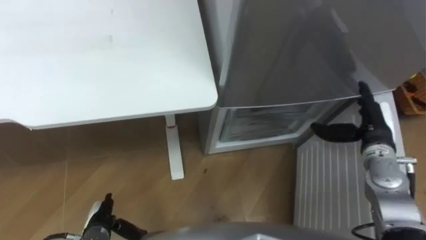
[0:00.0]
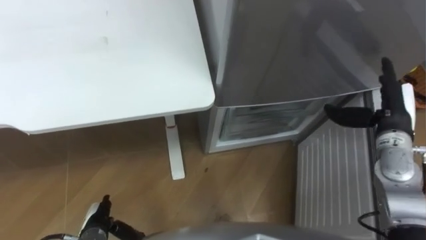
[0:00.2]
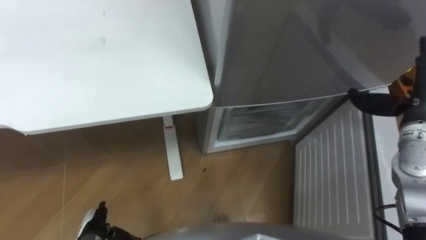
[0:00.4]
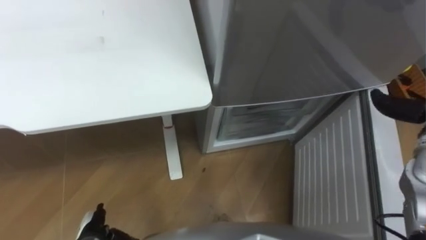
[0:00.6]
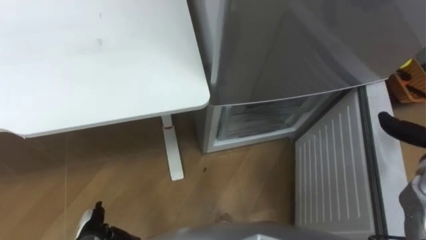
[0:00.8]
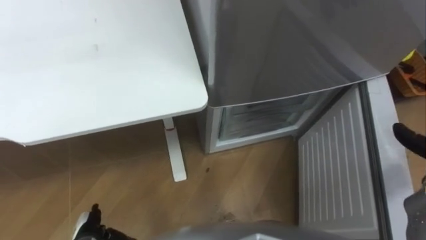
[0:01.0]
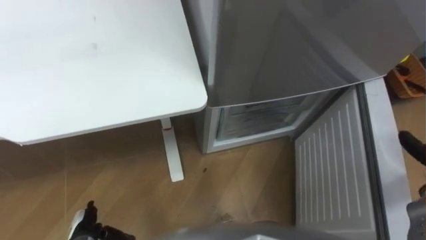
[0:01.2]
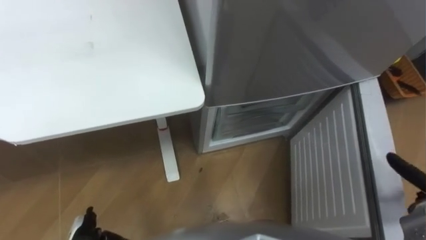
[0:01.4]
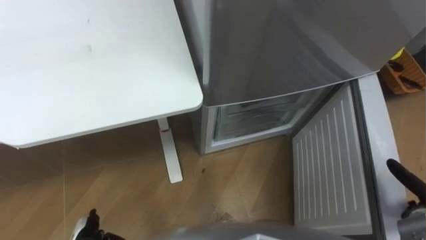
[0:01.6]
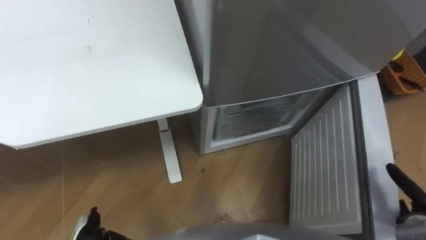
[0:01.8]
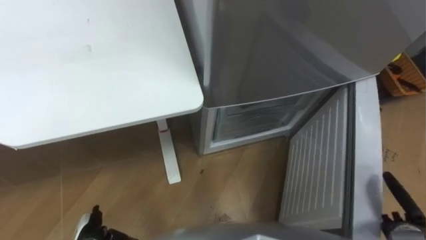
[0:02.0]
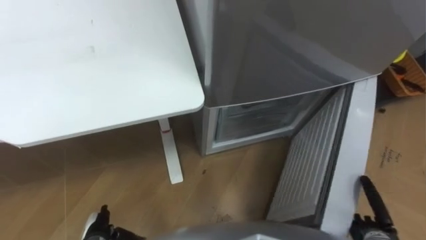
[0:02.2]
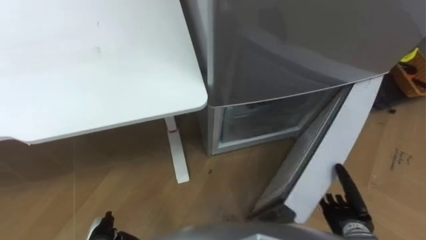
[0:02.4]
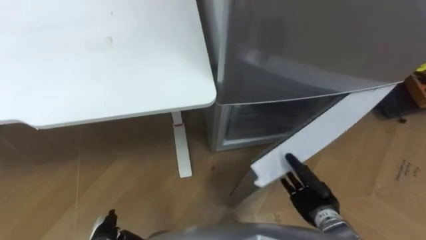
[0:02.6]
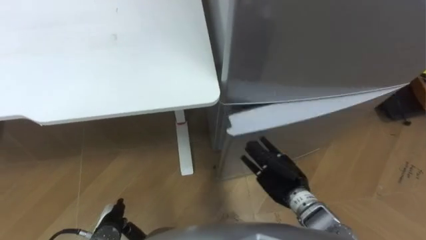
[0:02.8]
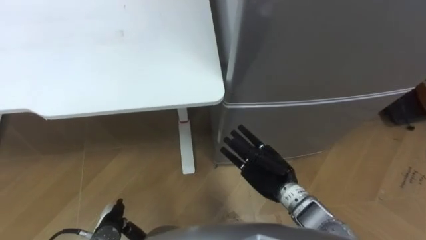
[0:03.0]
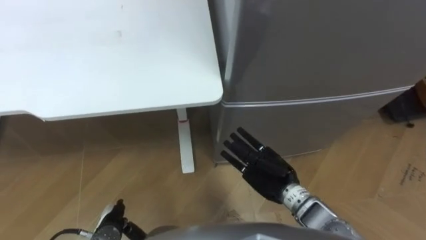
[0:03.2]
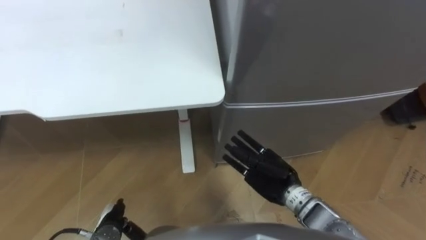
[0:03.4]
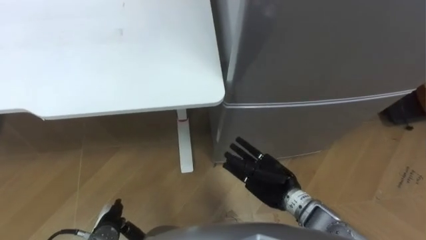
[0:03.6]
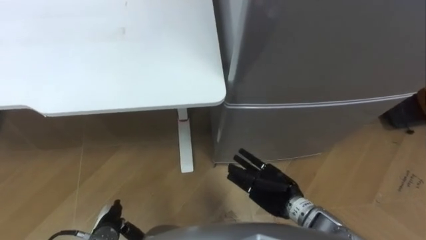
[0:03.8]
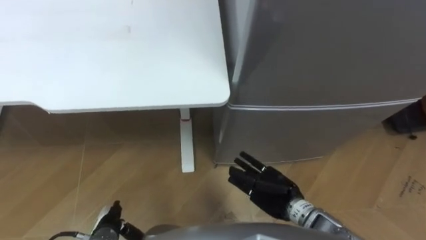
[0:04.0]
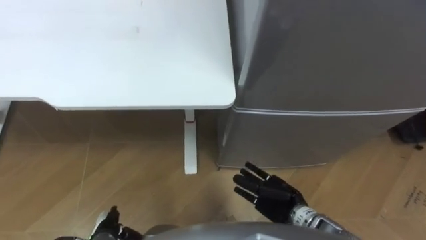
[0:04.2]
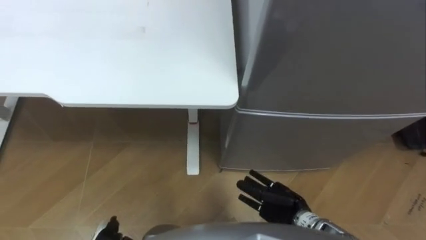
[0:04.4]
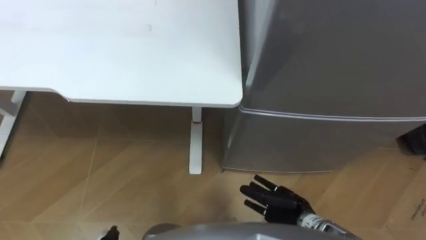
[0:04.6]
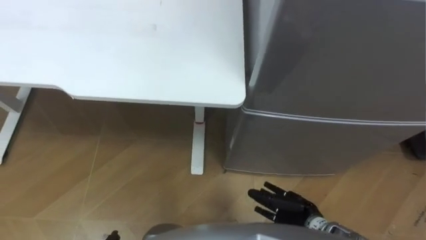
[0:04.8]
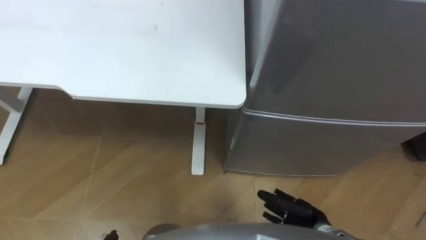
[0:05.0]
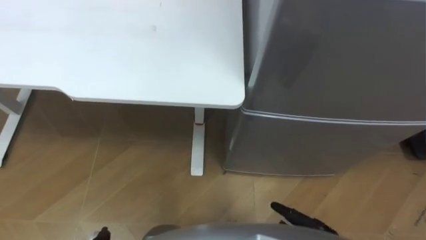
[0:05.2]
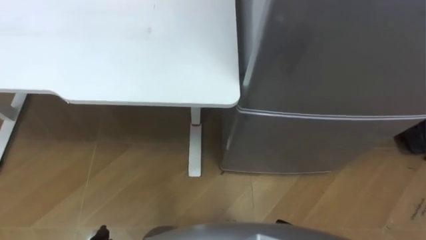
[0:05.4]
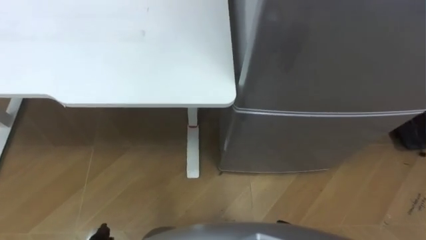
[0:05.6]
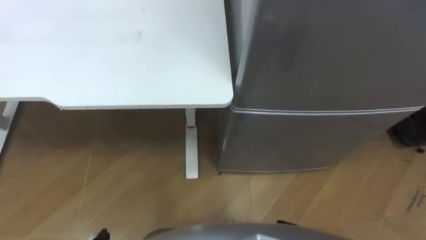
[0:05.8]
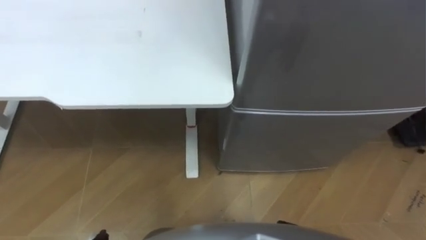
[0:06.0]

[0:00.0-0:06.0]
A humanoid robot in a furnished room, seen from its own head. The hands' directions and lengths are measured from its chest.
Task of the whole recording: Place the drink on the table on the bottom shelf of the refrigerator, then close the drawer and the refrigerator door.
0:01.6 to 0:03.0: The right hand goes about 30 cm to the left.
0:03.0 to 0:04.4: The right hand goes roughly 10 cm downward and backward.

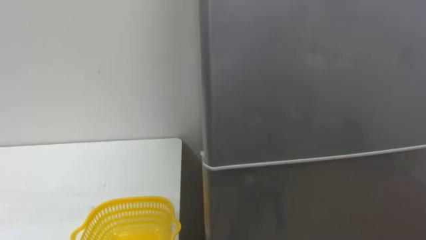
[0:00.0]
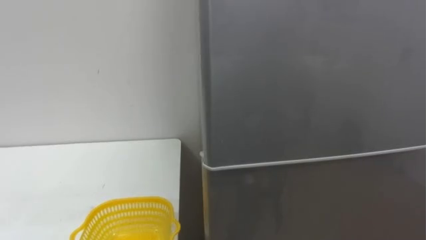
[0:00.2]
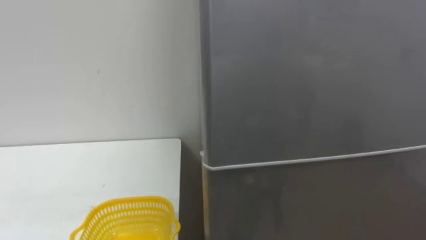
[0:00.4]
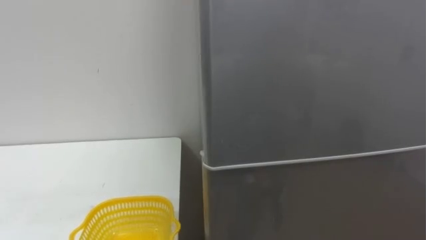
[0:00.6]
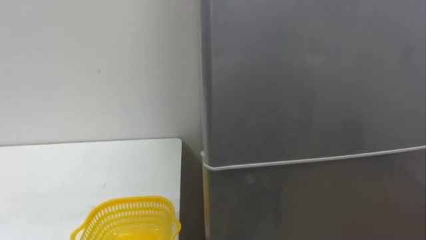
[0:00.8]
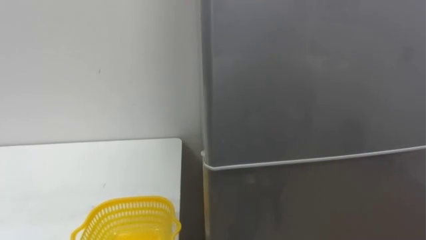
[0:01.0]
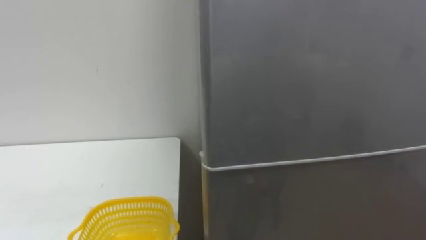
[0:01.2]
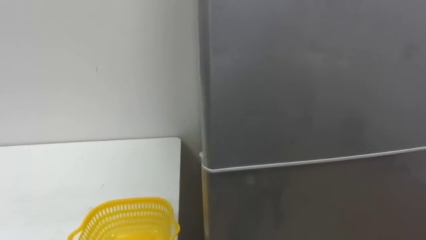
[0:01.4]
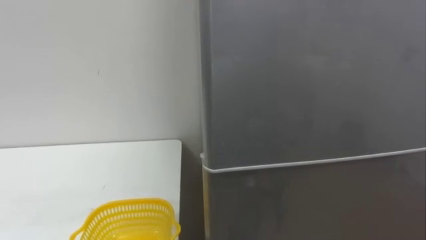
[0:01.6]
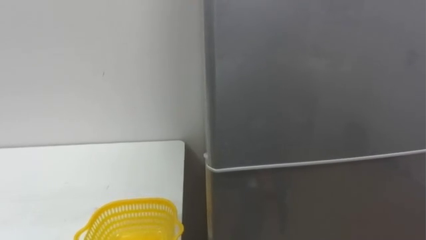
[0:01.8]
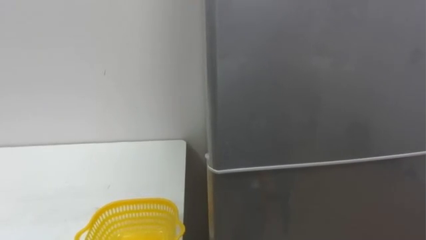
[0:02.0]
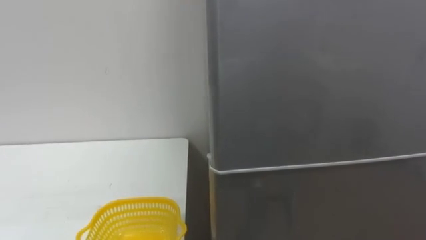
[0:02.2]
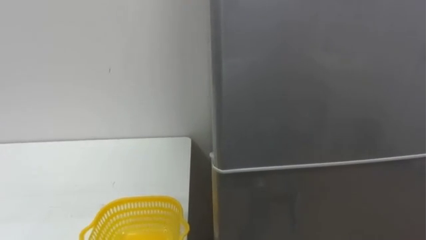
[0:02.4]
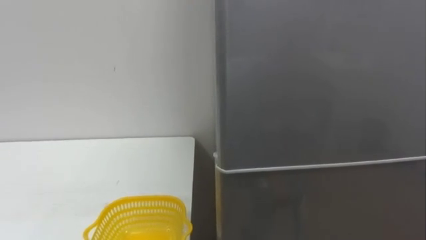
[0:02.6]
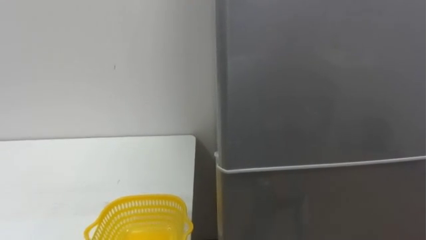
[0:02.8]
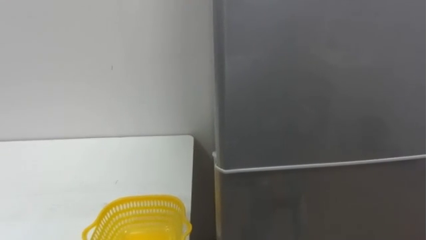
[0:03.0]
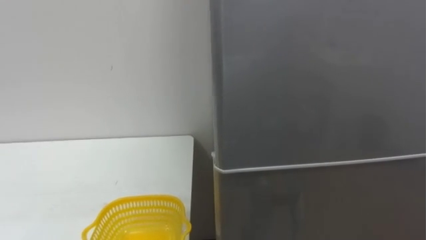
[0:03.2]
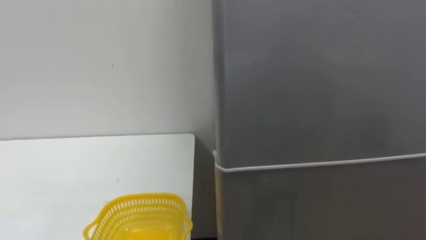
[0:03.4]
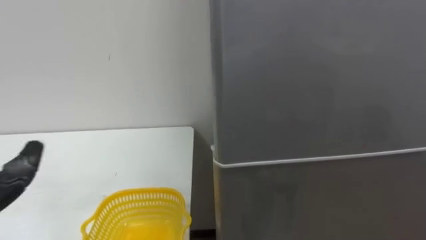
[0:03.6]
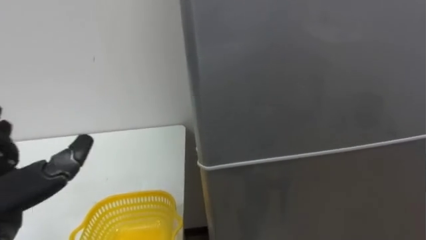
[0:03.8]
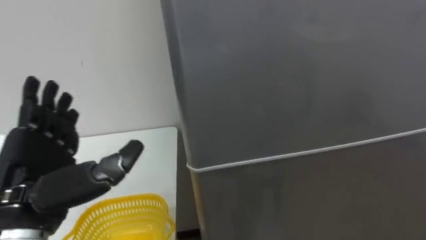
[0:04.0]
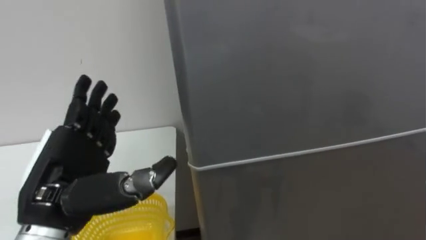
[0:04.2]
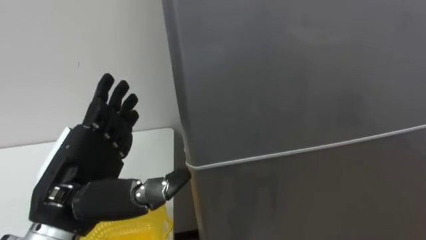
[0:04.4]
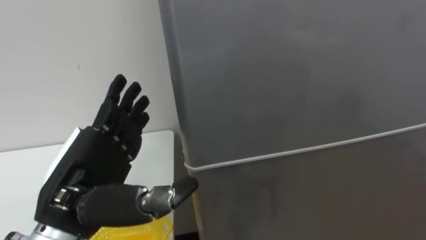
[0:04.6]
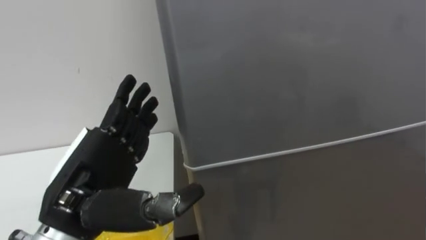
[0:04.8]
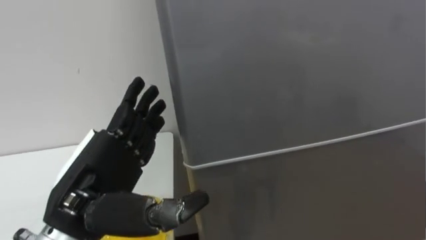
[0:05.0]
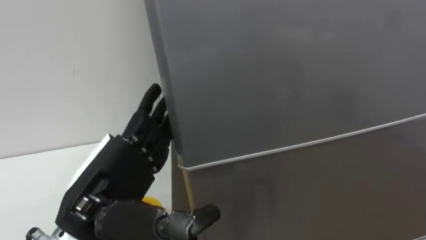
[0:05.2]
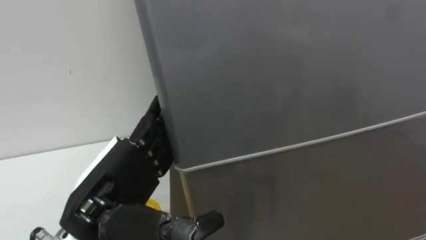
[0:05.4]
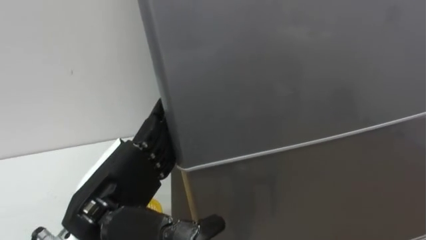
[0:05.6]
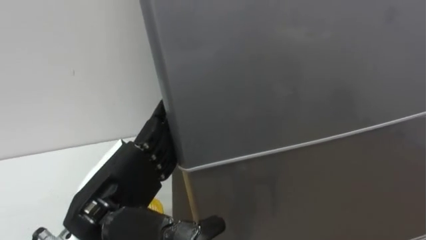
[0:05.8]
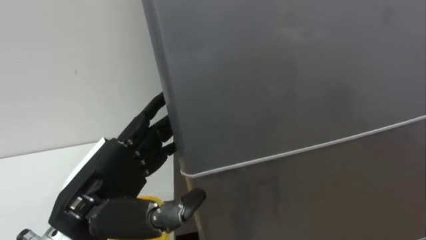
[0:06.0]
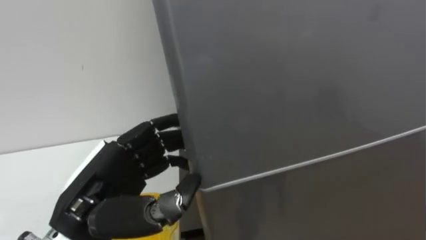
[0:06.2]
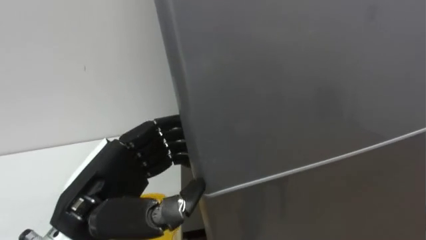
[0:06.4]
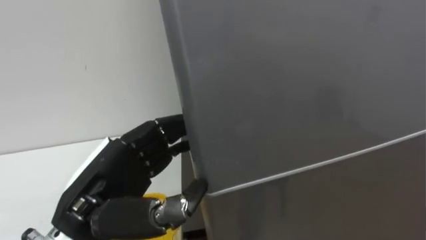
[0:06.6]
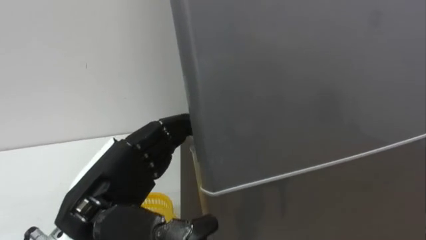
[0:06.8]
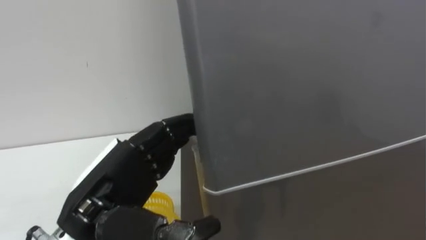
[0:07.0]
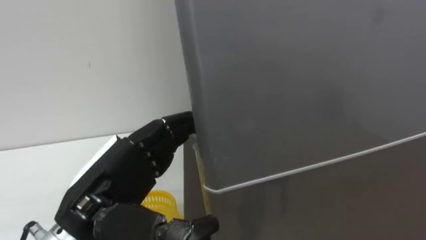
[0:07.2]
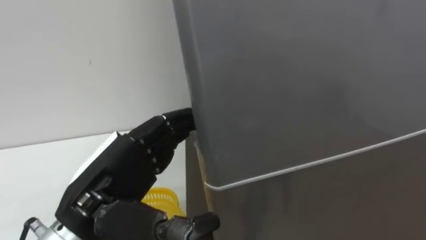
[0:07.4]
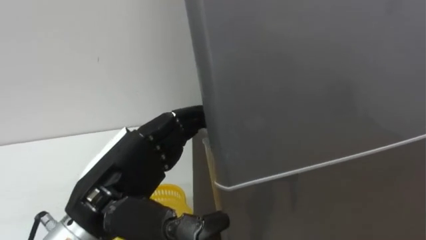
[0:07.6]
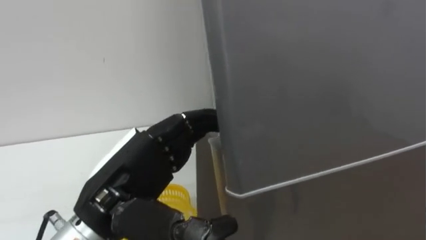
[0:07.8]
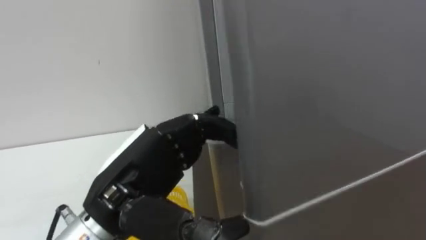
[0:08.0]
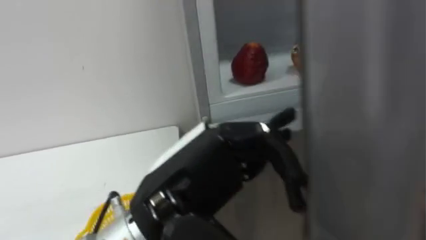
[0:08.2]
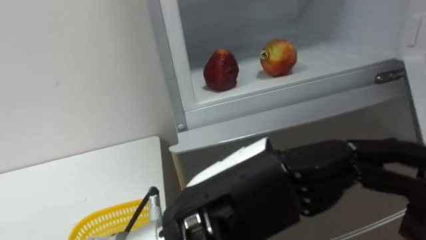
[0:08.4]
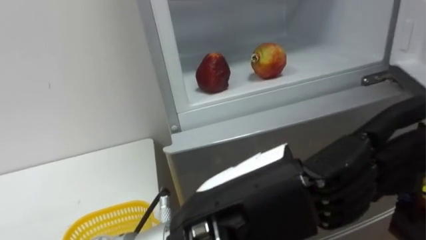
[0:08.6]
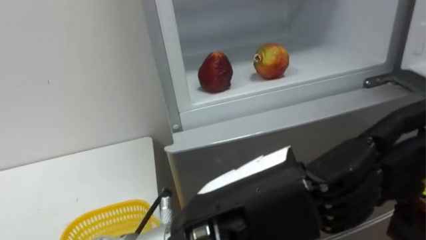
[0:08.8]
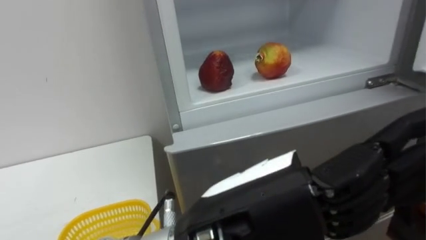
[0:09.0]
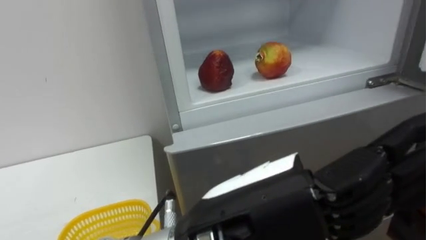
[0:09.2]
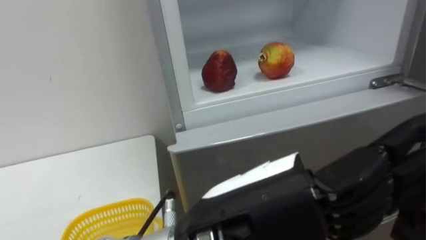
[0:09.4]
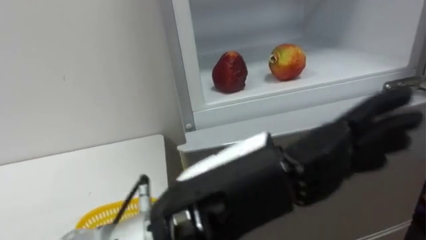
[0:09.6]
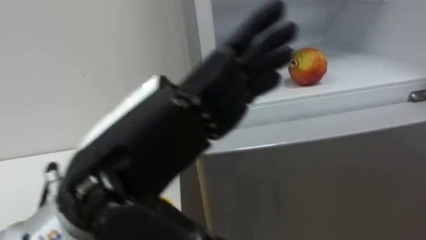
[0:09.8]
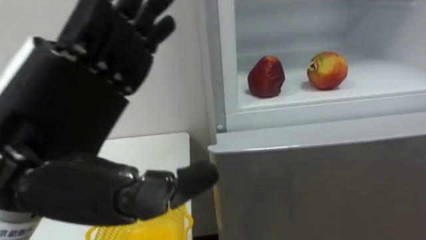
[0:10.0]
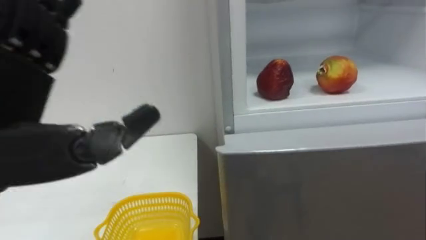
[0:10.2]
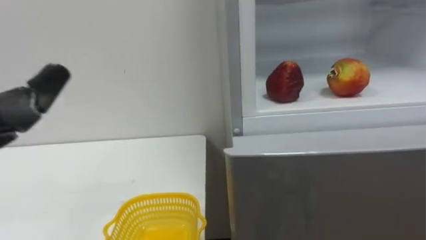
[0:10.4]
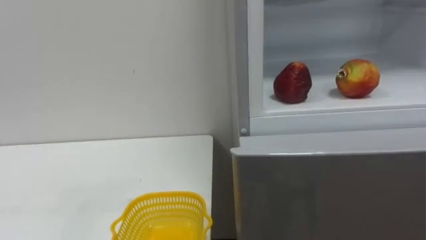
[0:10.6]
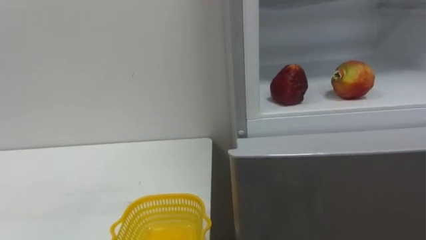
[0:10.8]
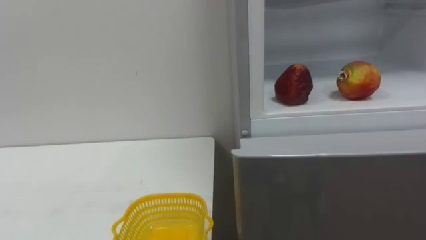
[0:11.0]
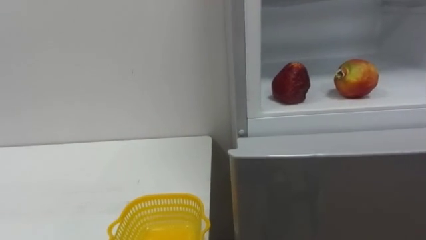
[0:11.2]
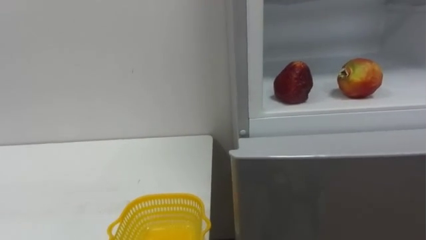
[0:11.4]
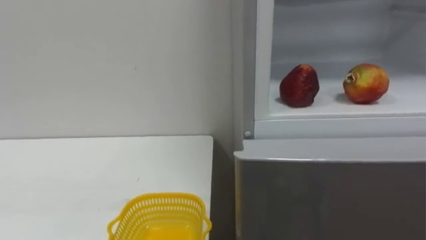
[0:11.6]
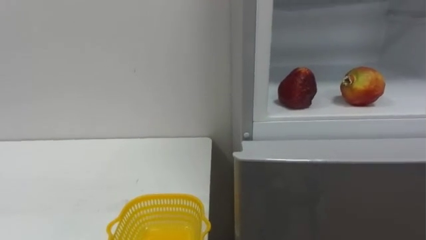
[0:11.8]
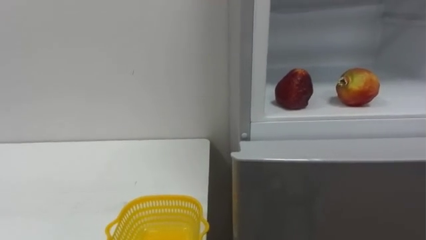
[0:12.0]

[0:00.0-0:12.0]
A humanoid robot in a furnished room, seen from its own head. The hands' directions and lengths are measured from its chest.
Task of the whole recording: Open the refrigerator door, take out the apple and the pomegranate, place them in the fruit basket on the left, and close the refrigerator door.
0:07.6 to 0:09.0: The left hand goes some 15 cm to the right and backward.
